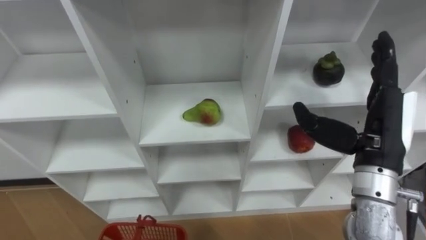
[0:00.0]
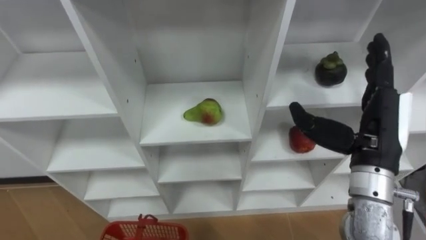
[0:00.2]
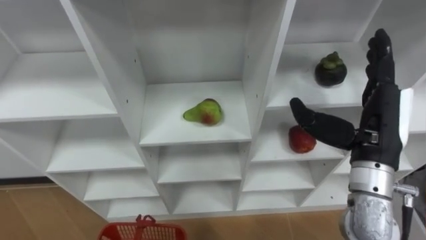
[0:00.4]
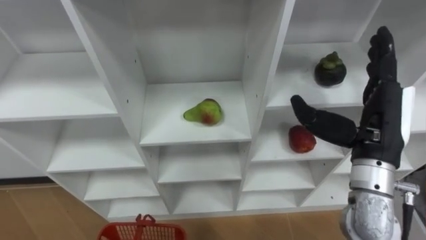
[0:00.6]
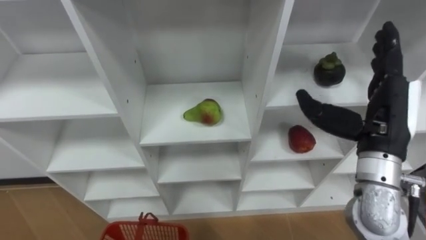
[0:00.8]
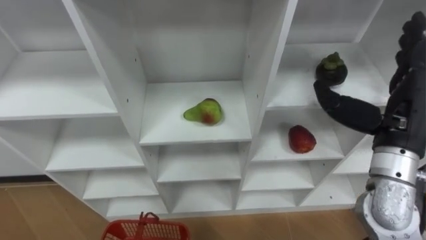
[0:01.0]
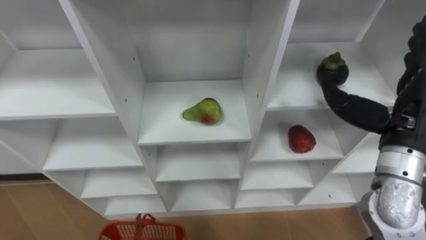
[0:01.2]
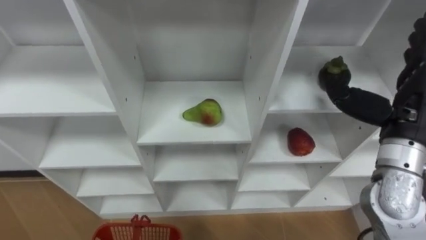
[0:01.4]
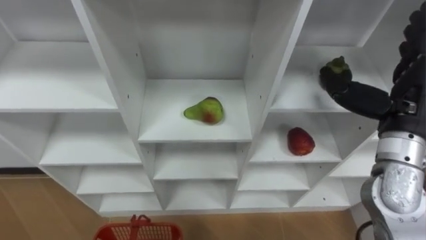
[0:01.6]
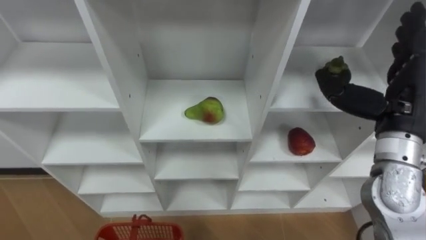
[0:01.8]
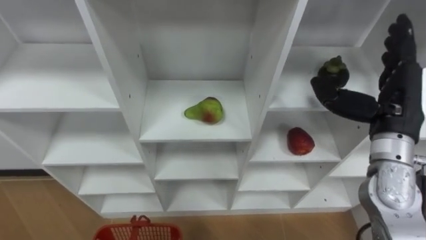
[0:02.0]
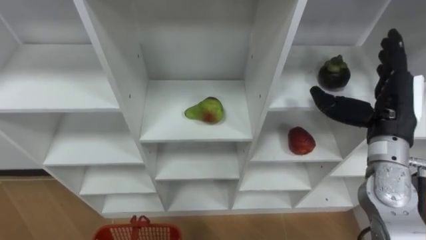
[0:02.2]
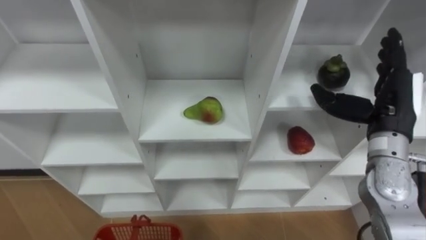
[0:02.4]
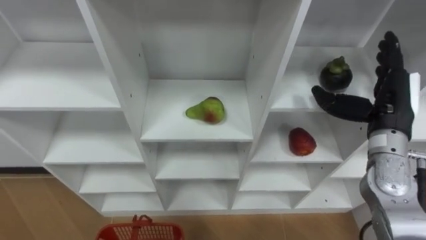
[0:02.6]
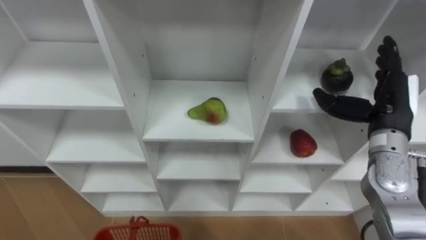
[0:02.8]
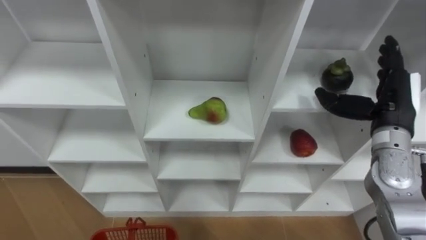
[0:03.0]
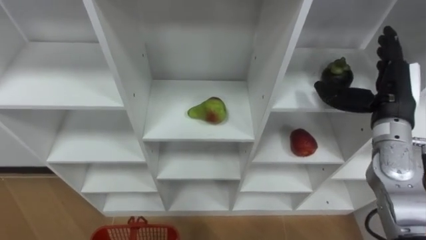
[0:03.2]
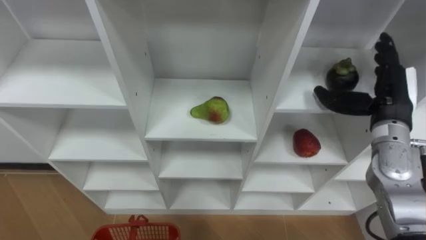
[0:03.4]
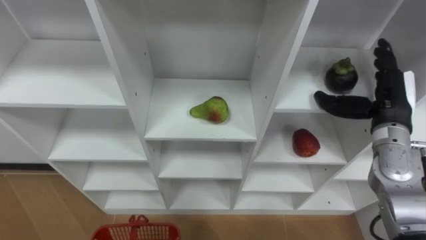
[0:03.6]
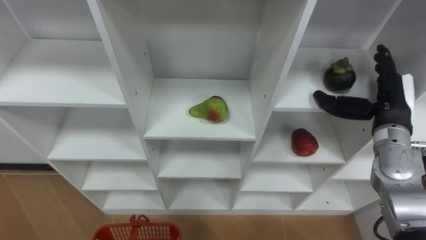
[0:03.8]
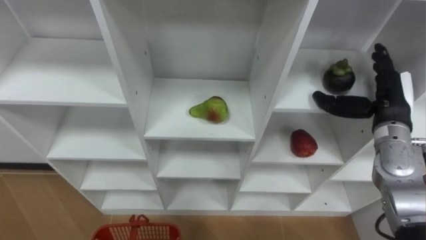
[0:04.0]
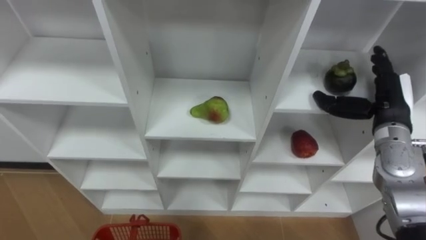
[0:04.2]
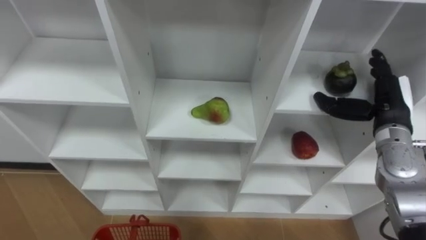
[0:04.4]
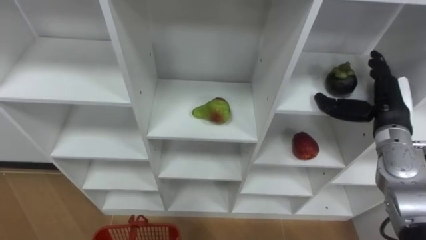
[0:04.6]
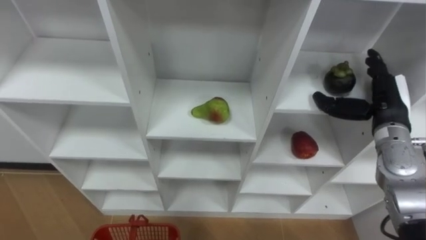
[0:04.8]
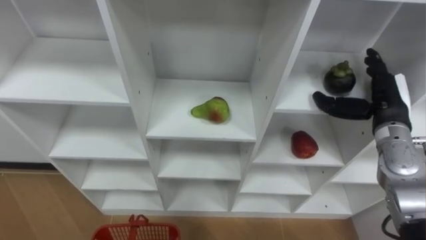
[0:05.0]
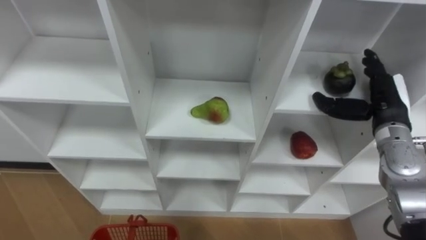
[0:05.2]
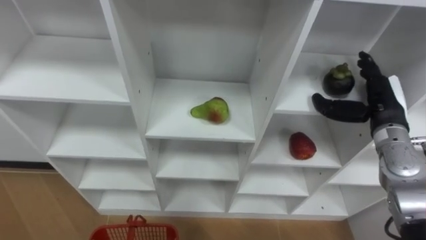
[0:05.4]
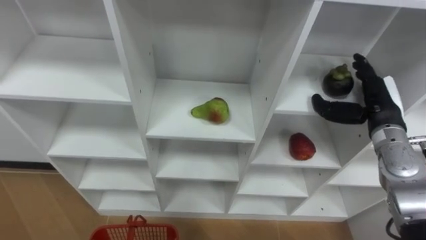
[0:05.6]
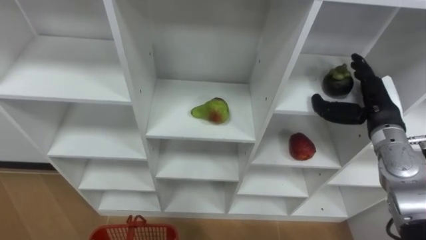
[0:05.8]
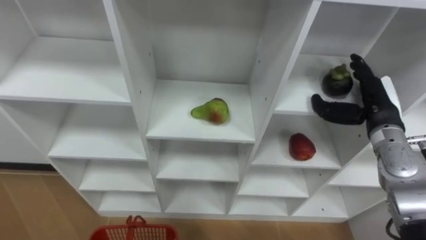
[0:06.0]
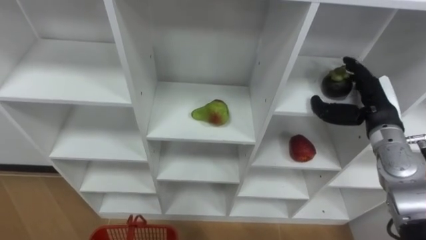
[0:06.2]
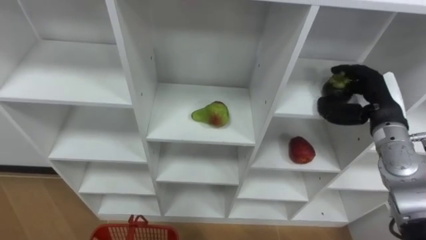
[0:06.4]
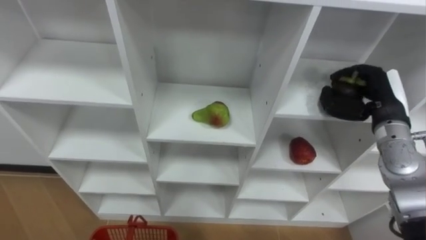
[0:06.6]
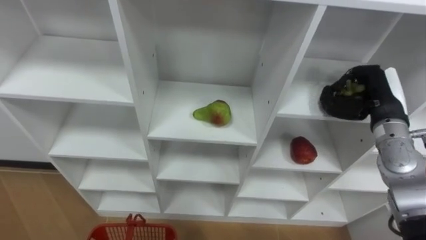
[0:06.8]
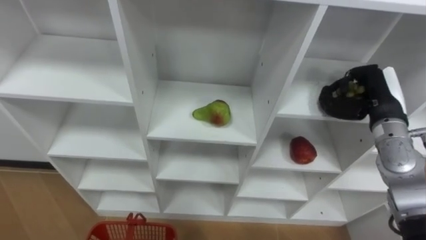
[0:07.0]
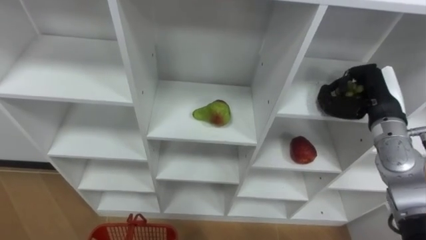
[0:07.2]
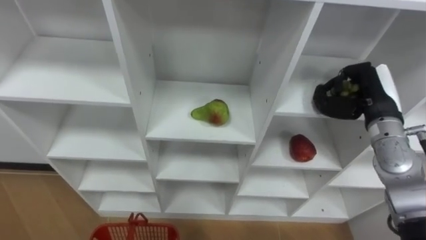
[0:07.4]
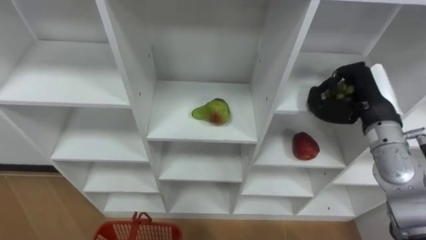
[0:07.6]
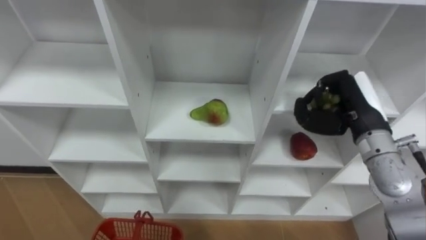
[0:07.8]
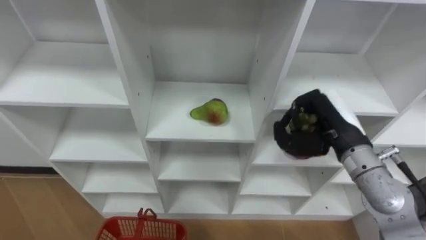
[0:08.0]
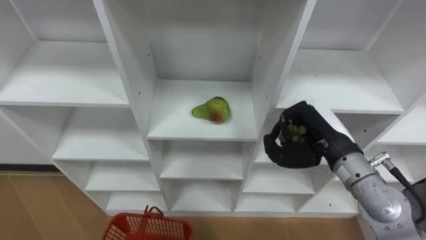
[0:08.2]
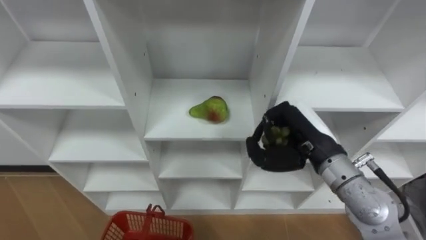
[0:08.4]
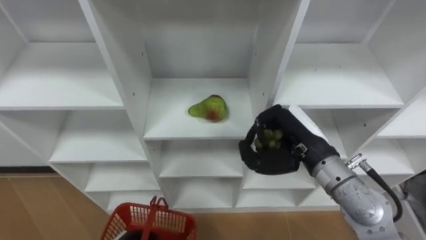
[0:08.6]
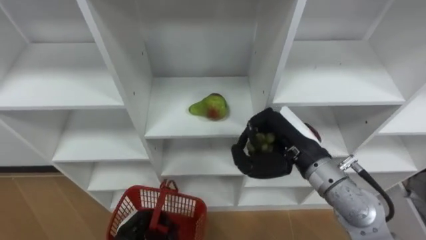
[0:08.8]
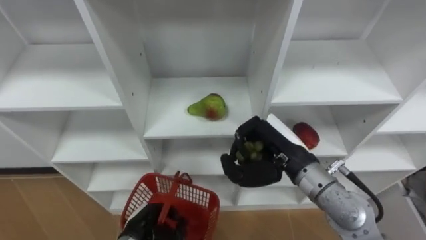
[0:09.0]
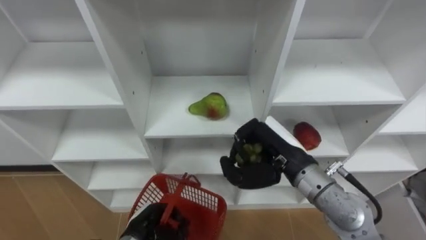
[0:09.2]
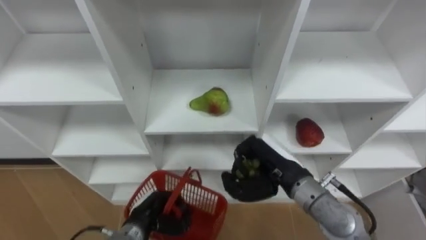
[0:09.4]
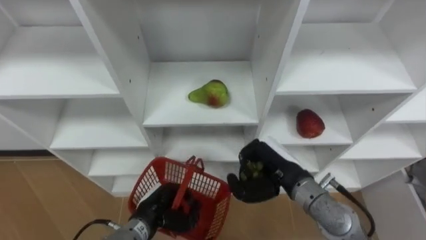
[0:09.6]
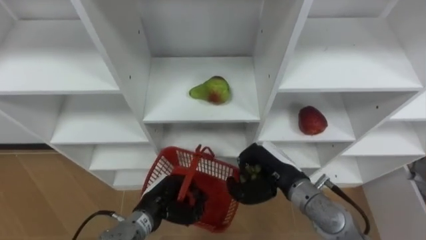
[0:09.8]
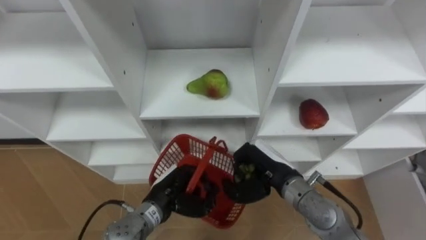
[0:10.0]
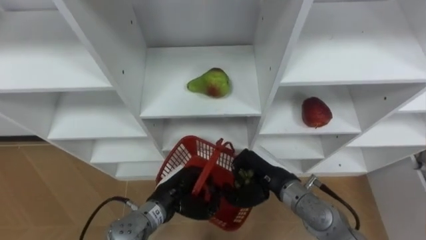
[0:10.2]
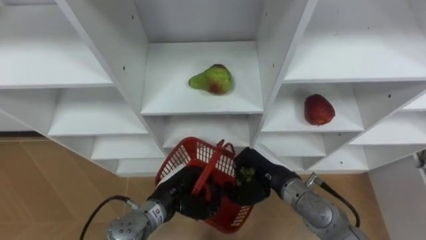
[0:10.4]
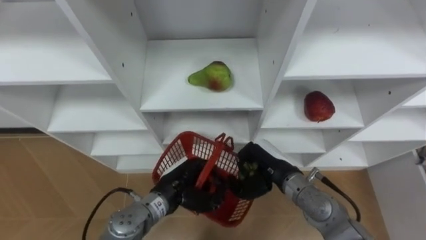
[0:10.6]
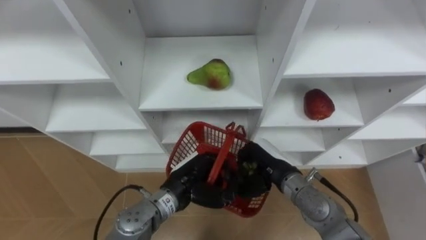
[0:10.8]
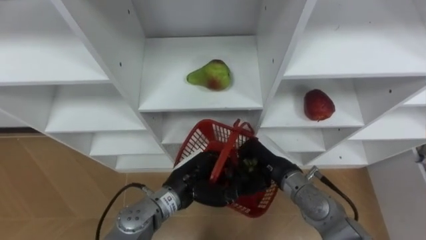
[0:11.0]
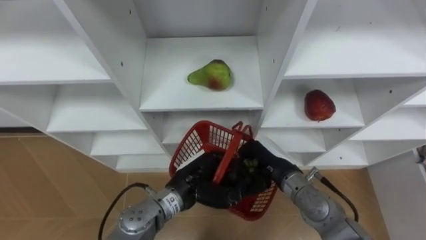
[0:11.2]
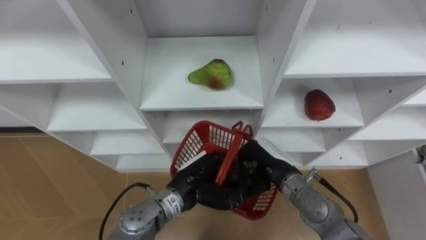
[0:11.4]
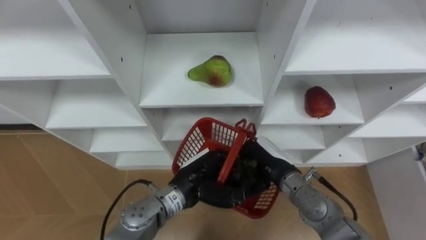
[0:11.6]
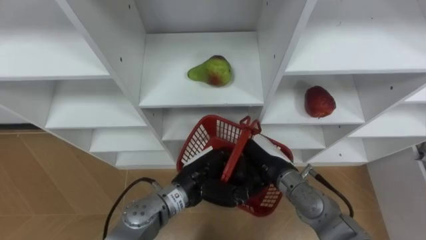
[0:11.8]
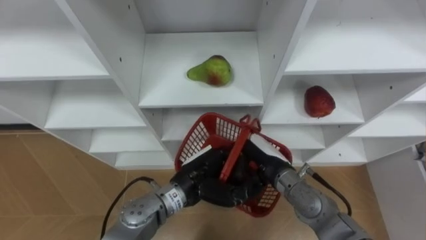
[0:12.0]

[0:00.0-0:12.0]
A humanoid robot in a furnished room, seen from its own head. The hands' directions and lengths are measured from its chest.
Task of the whole recording: Hold the basket and collect the fruits from 3 different cells of the closet into it.
0:00.0 to 0:01.6: The right hand moves roughly 5 cm.
0:01.6 to 0:03.0: The right hand goes roughly 5 cm downward.
0:06.0 to 0:07.6: The right hand closes.
0:07.6 to 0:09.0: The right hand is displaced to the left and backward by roughly 15 cm.
0:09.0 to 0:10.4: The left hand travels upward, to the right and forward by about 10 cm. Meanwhile the right hand shifts about 10 cm downward.
0:10.4 to 0:12.0: The right hand opens up, while the left hand travels upward and to the right by about 10 cm.

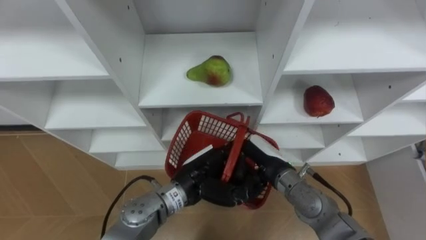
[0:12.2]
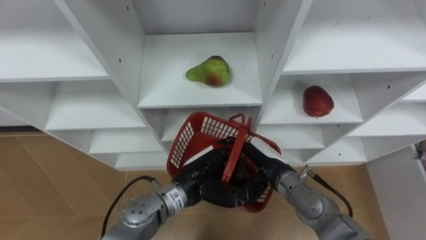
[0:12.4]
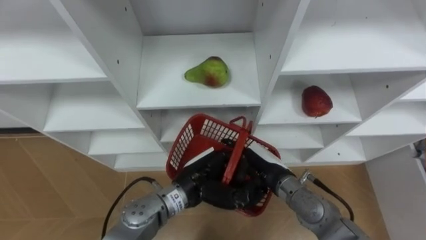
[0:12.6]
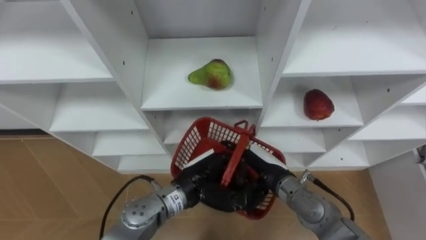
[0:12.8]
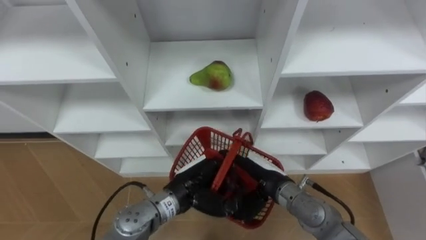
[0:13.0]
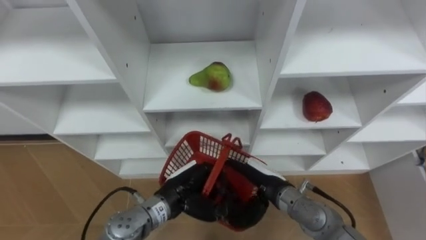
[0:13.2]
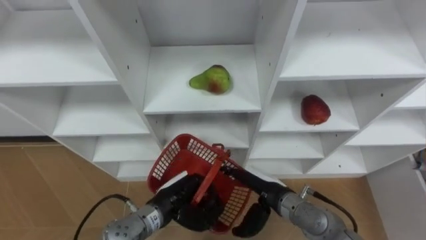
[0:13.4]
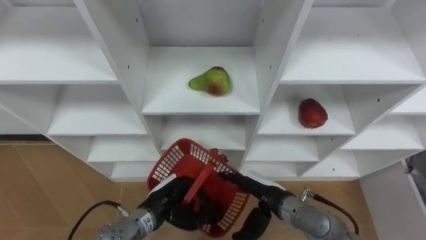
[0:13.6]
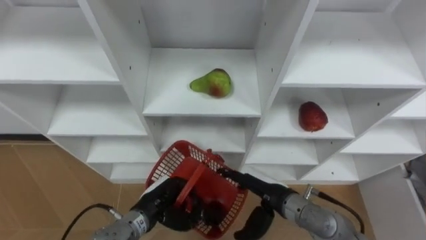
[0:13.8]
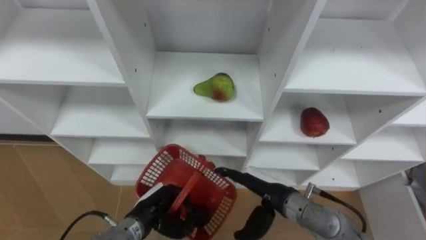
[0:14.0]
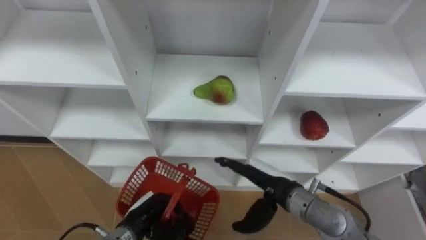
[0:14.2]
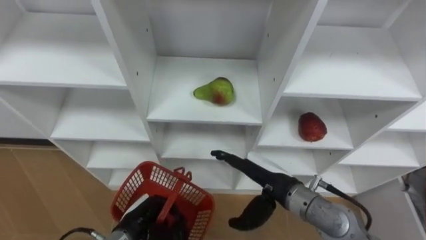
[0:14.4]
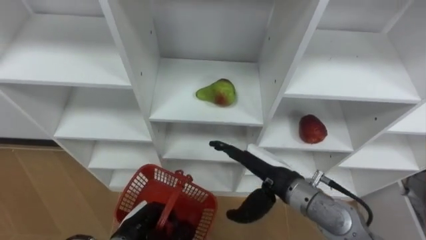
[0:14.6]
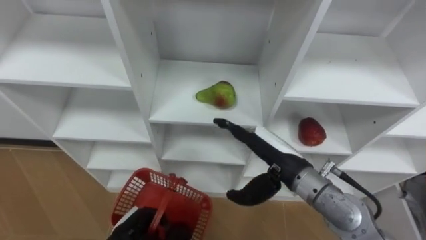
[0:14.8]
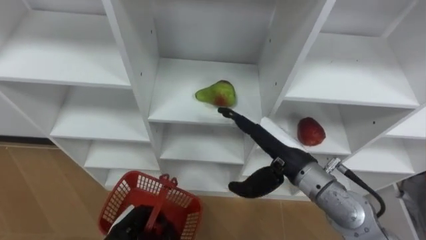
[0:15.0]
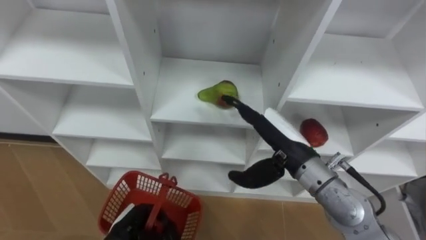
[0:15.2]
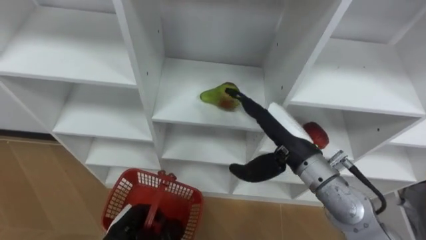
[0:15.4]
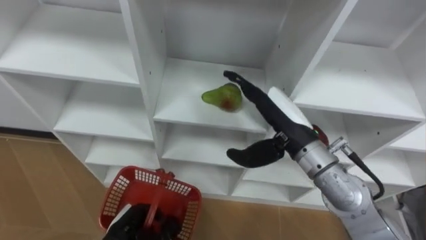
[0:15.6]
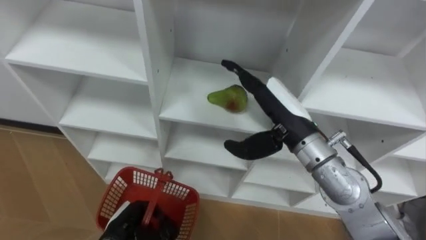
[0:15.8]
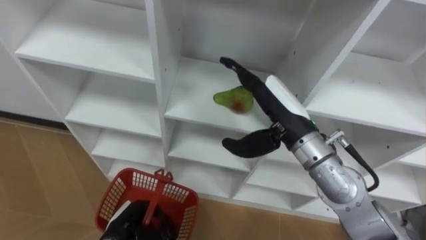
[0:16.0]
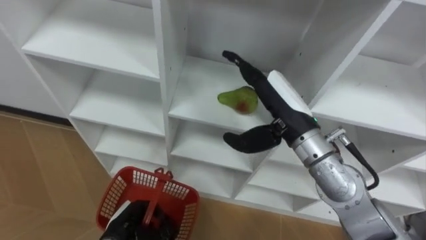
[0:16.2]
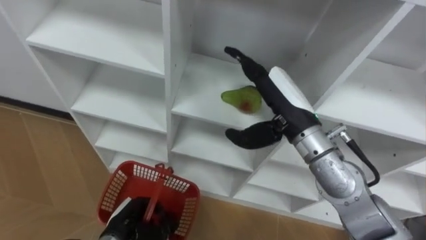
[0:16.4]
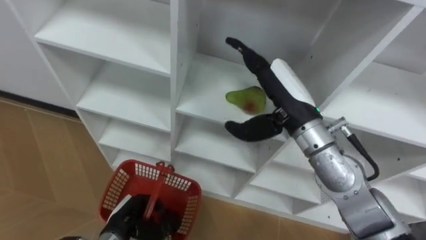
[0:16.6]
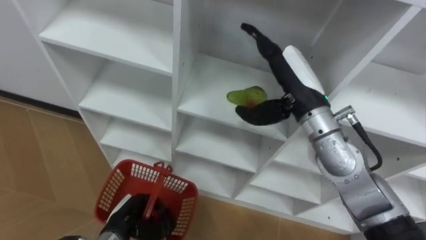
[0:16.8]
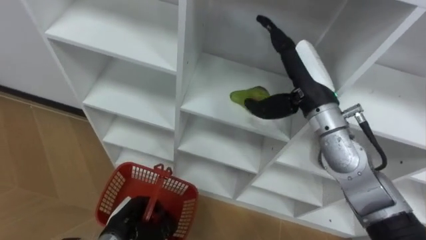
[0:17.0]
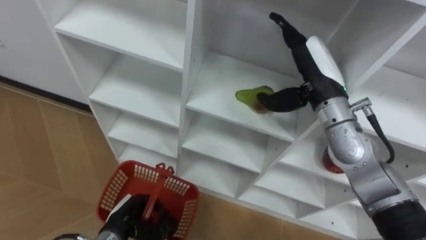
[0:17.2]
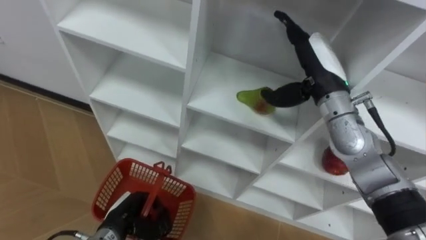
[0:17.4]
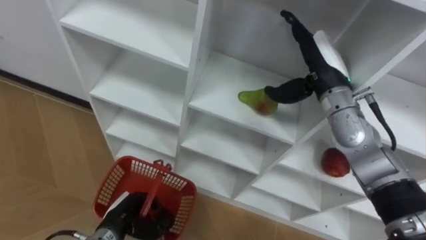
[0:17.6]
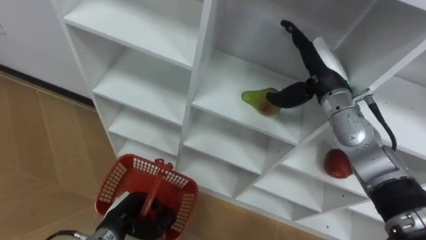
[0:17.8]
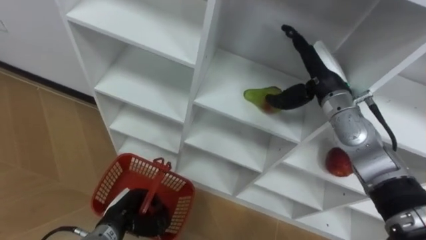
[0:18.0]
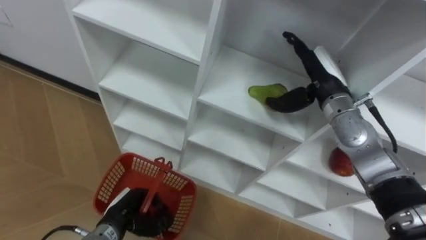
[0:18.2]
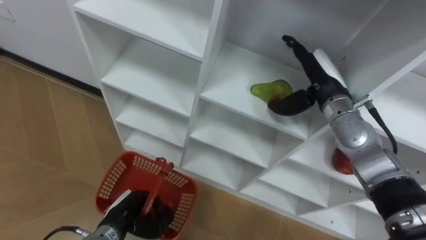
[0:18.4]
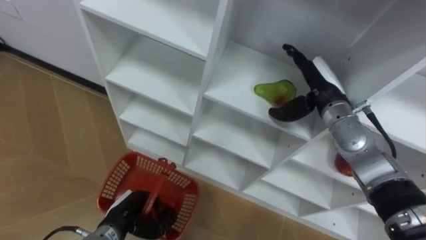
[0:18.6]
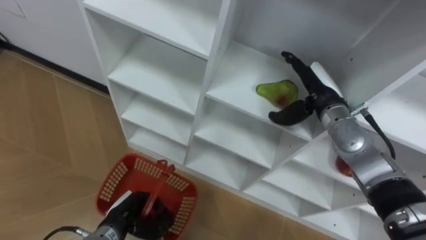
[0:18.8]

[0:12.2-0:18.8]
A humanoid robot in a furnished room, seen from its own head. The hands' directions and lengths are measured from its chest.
Task of the whole recording: Hold the basket and collect the fruits from 3 different cells of the closet into it.
0:12.2 to 0:13.8: The left hand shifts roughly 10 cm to the left and downward, while the right hand changes place by about 5 cm.
0:13.8 to 0:15.4: The right hand shifts approximately 15 cm upward. Meanwhile the left hand heads to the left and backward, covering roughly 10 cm.
0:15.4 to 0:17.2: The right hand moves forward and upward, approximately 10 cm.
0:17.2 to 0:18.8: The right hand is displaced downward by about 10 cm.
